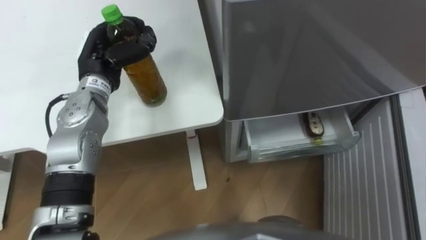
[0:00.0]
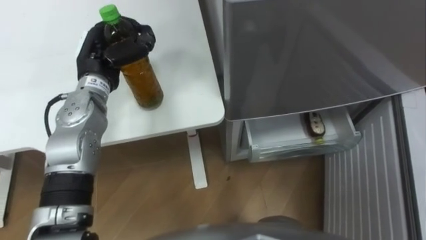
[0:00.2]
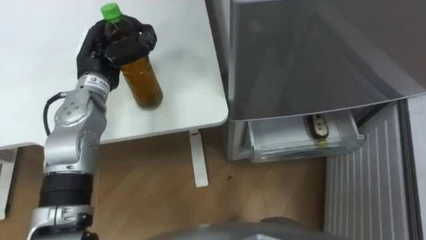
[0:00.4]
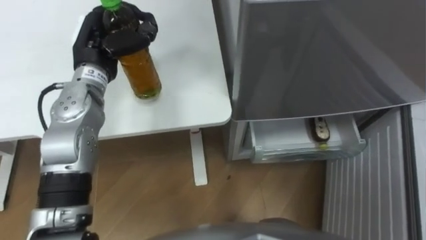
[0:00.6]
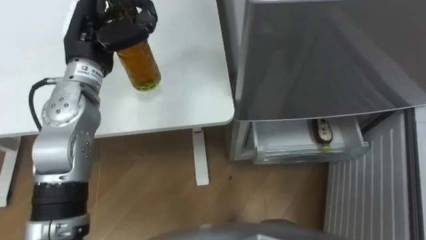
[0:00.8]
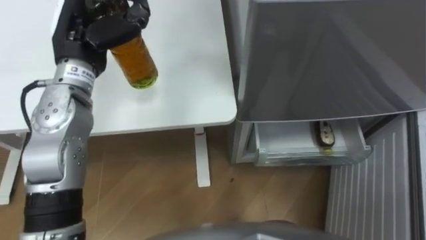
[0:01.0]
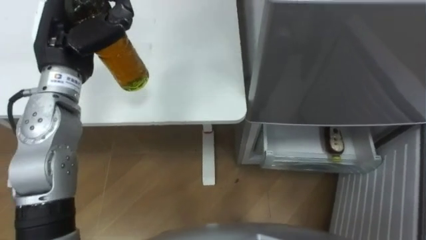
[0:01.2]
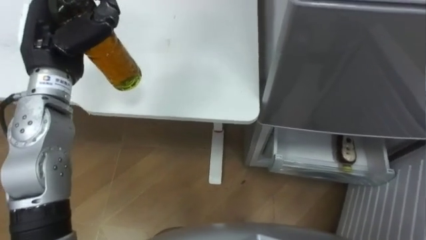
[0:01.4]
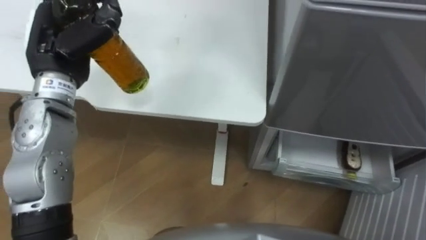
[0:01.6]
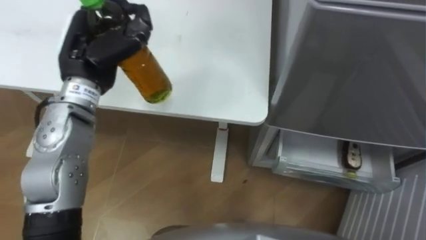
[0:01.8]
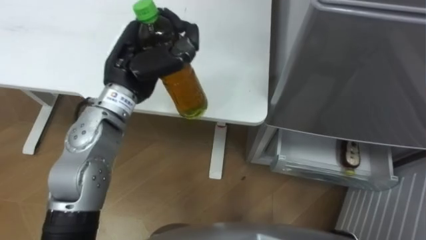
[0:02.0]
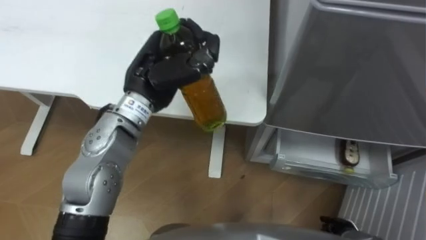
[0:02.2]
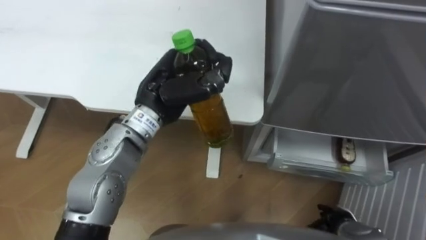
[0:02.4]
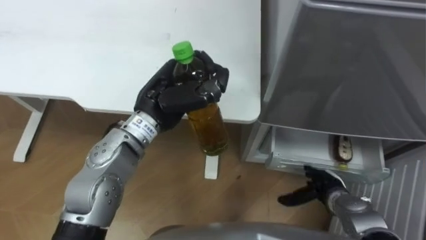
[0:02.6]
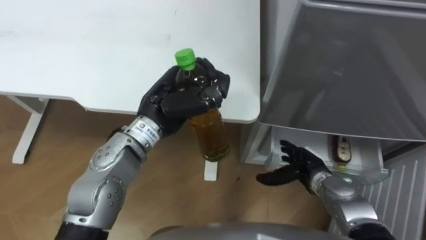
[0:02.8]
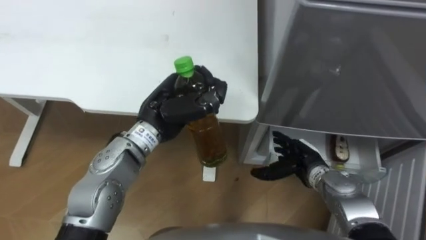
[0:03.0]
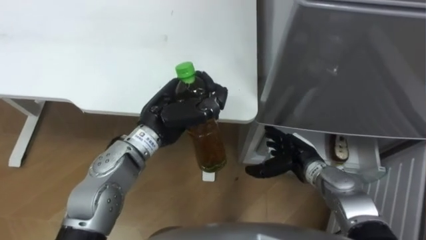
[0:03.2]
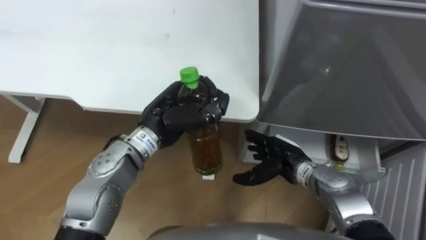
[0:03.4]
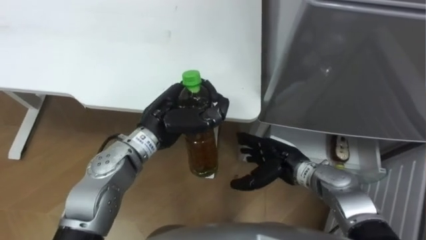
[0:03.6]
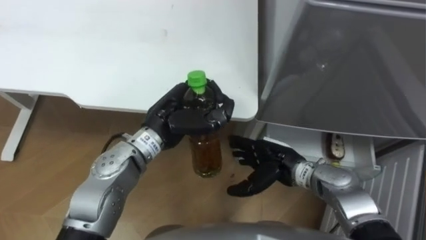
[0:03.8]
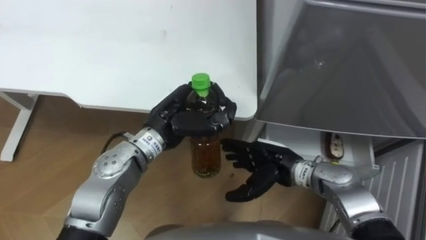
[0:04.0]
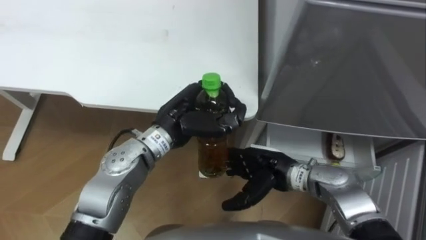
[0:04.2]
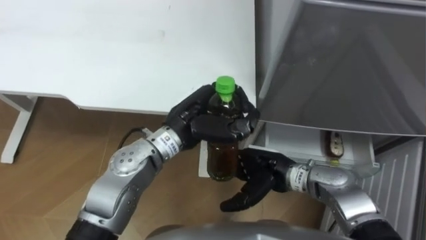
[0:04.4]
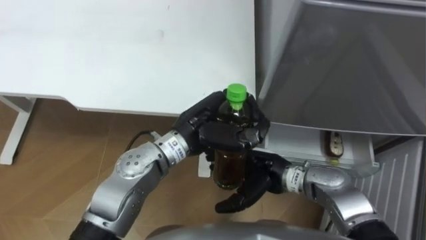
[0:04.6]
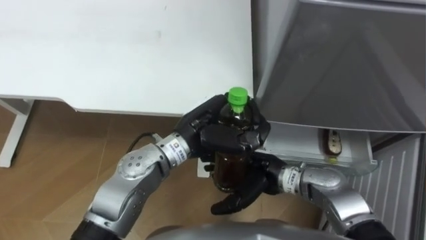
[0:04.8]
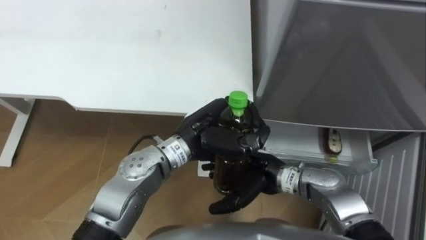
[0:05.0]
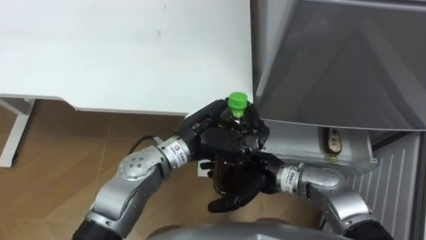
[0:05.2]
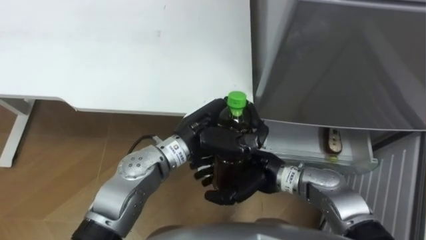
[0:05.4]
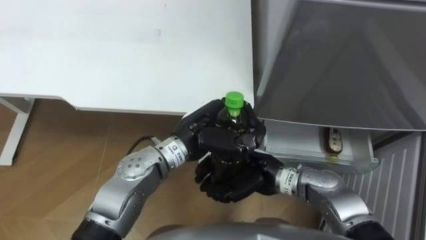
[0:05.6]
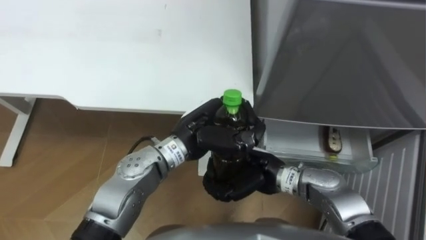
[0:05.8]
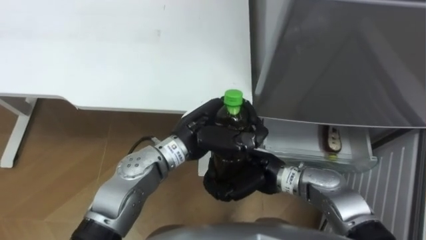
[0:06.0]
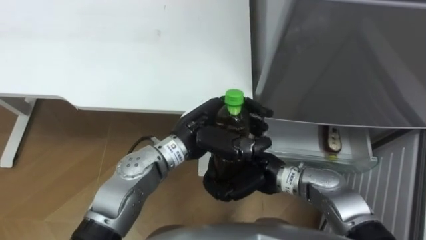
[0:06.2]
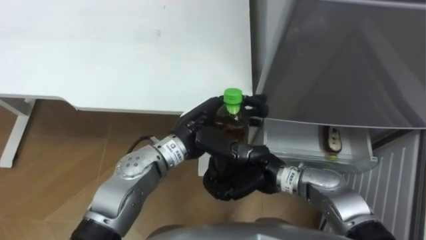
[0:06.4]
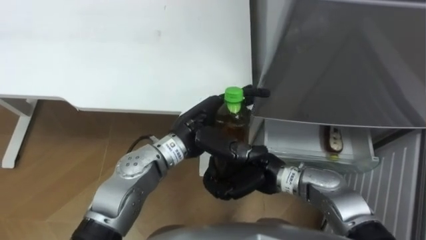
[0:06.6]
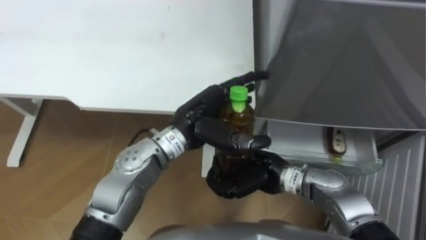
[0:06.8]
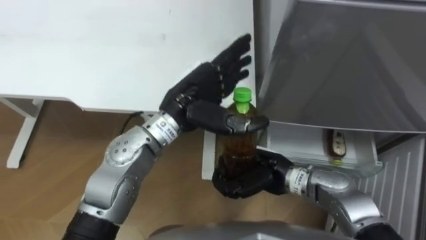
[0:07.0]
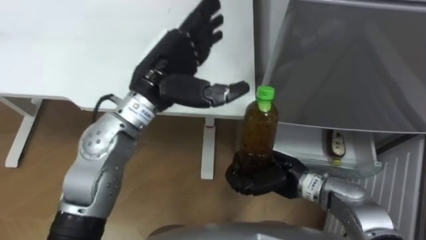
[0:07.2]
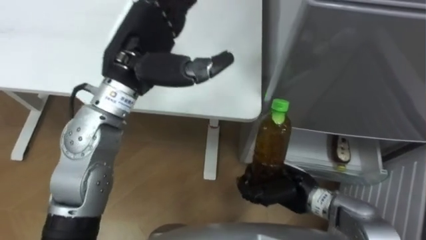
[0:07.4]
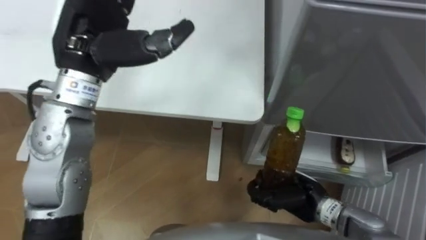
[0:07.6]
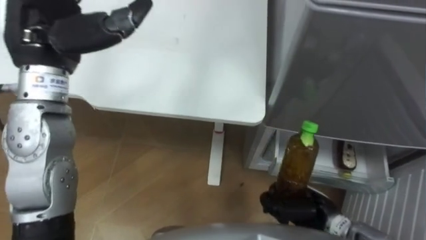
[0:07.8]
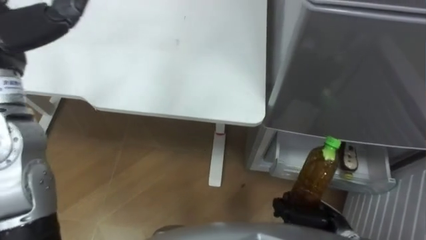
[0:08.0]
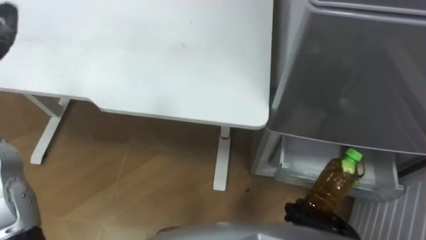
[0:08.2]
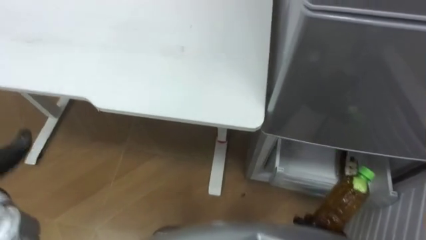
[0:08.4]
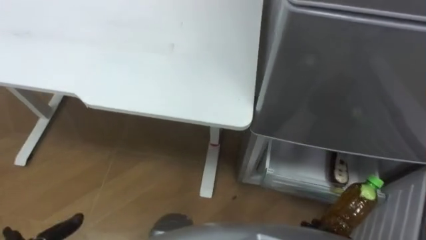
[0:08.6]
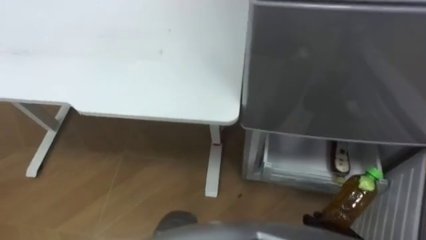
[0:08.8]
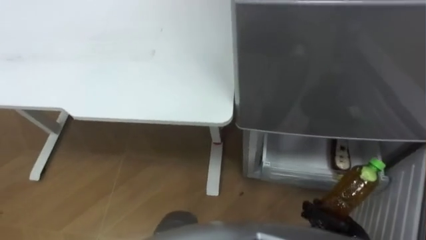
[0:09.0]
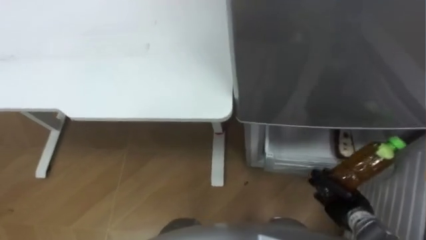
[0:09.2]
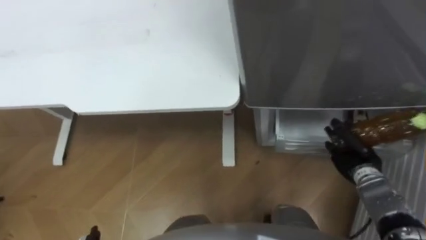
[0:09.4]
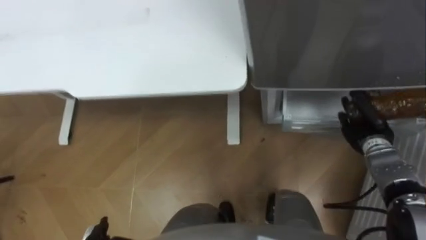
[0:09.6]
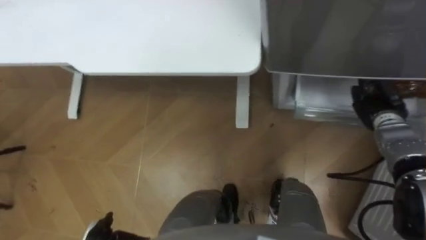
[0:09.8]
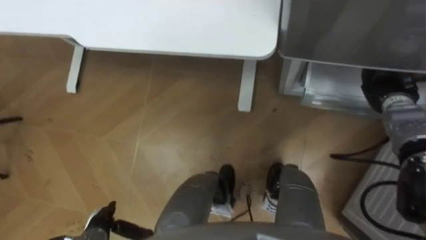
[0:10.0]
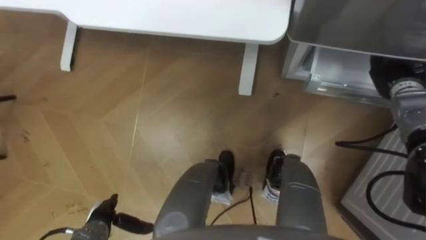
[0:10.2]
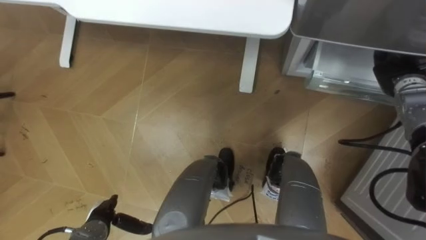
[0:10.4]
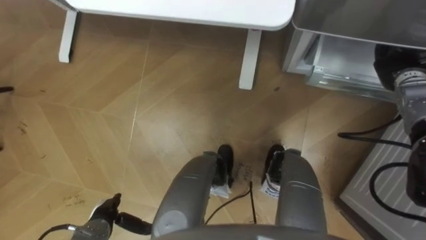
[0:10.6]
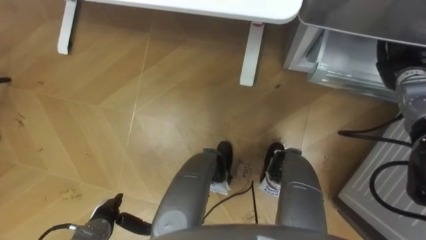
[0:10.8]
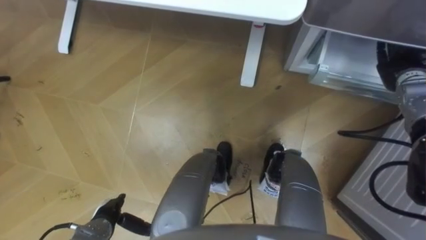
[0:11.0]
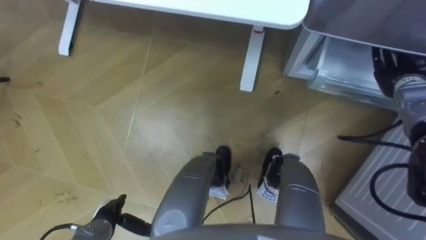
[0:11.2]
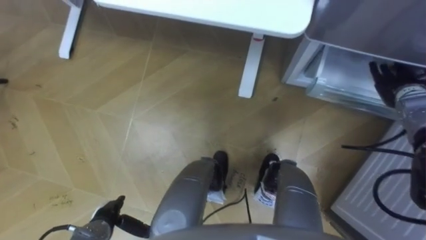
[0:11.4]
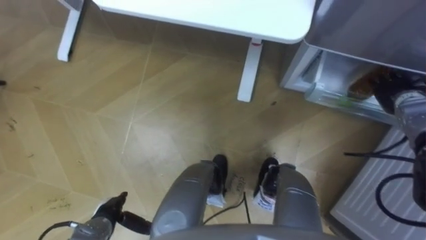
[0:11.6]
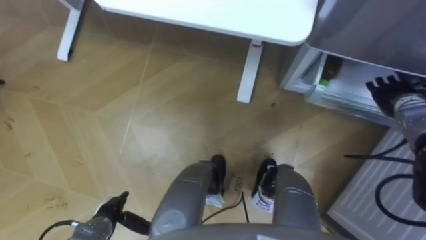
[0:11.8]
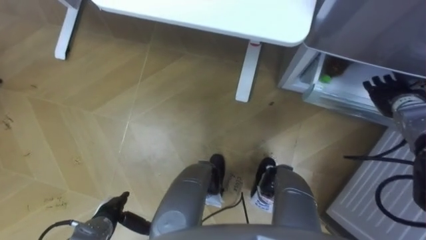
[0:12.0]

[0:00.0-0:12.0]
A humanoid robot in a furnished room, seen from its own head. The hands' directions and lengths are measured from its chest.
Task of the whole recording: Place the drink on the table on the bottom shelf of the refrigerator, then close the drawer and the refrigerator door.
0:00.0 to 0:01.6: The left hand goes about 10 cm upward.
0:01.6 to 0:03.0: The left hand shifts about 20 cm to the right and downward.
0:03.0 to 0:04.4: The right hand goes approximately 10 cm to the left and upward.
0:04.4 to 0:06.0: The right hand closes up.
0:06.0 to 0:07.6: The left hand shifts roughly 20 cm upward and to the left, and opens its fingers, while the right hand shifts about 10 cm to the right.
0:09.0 to 0:10.4: The right hand heads forward and upward, covering some 35 cm.
0:10.4 to 0:12.0: The right hand opens up.

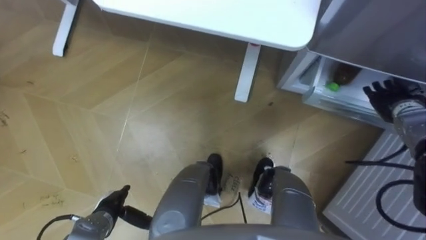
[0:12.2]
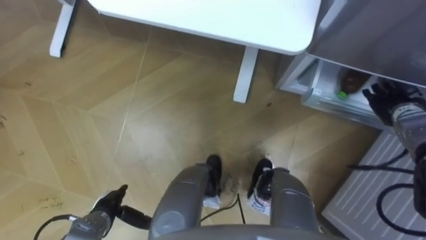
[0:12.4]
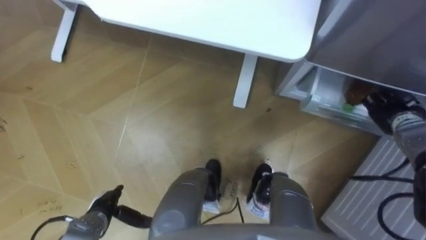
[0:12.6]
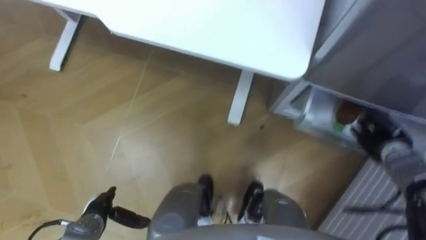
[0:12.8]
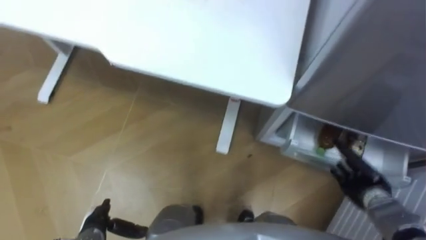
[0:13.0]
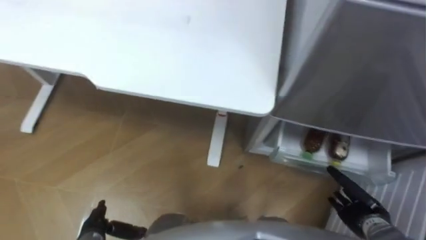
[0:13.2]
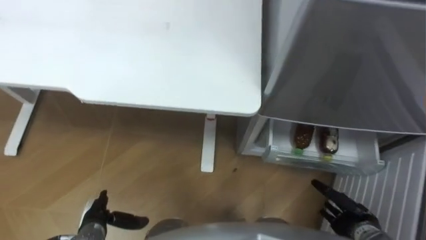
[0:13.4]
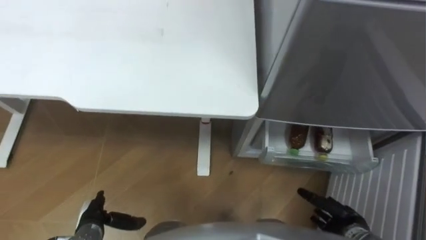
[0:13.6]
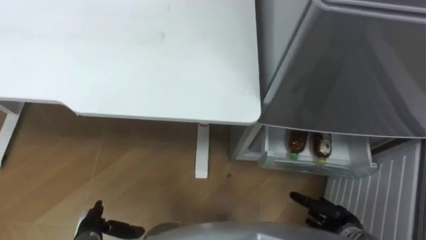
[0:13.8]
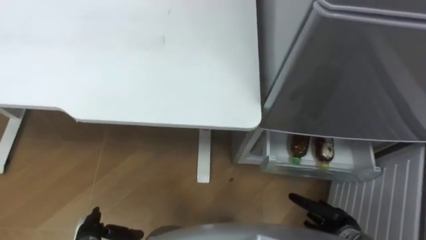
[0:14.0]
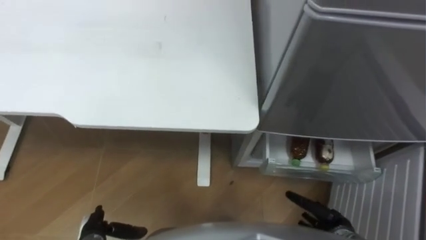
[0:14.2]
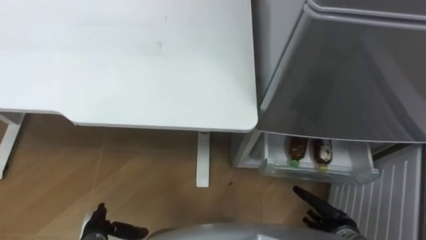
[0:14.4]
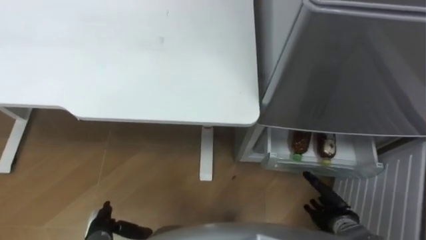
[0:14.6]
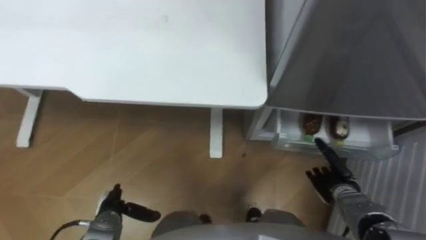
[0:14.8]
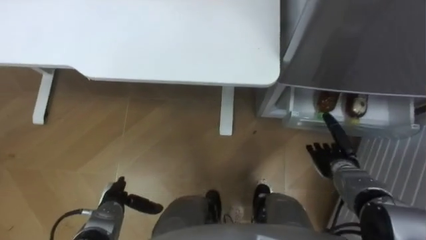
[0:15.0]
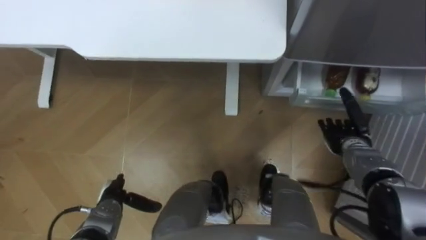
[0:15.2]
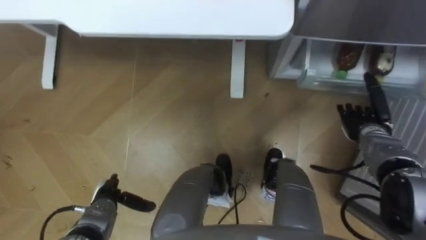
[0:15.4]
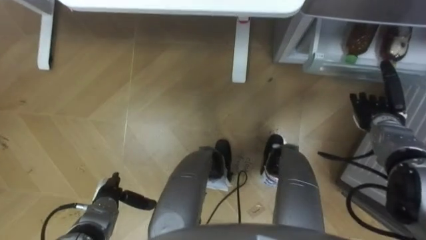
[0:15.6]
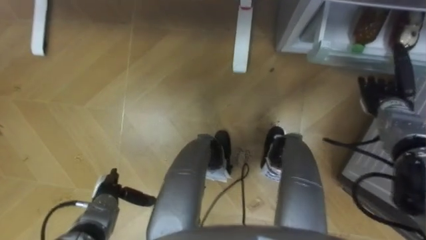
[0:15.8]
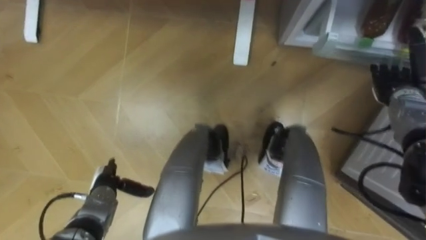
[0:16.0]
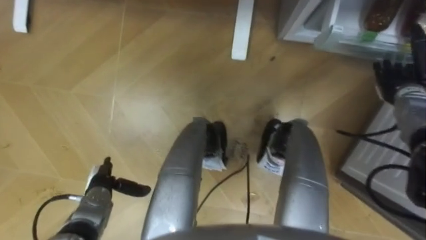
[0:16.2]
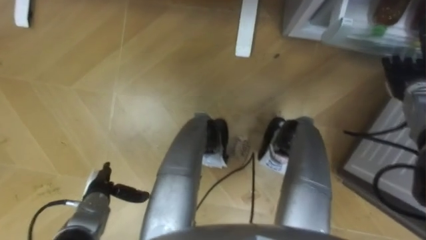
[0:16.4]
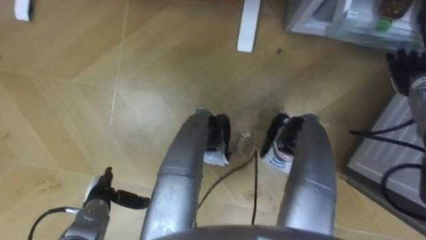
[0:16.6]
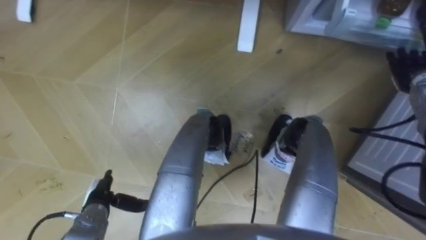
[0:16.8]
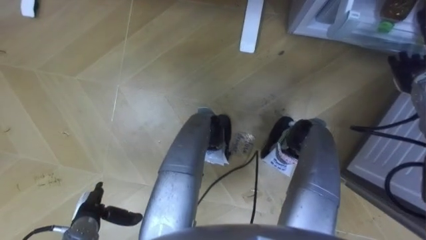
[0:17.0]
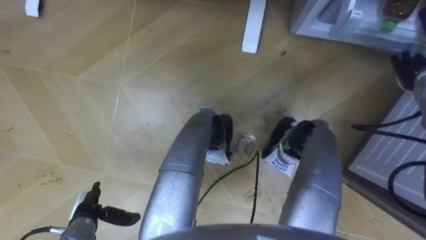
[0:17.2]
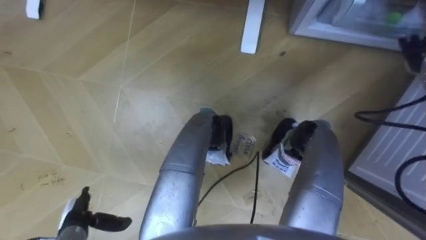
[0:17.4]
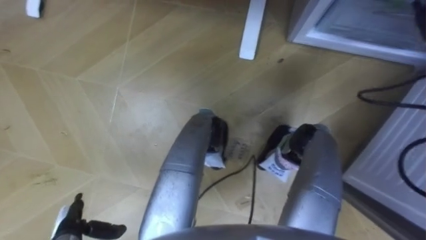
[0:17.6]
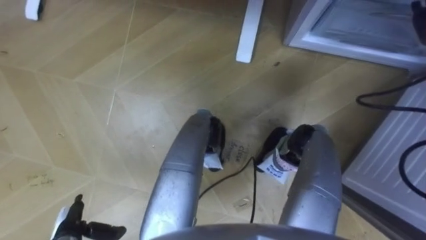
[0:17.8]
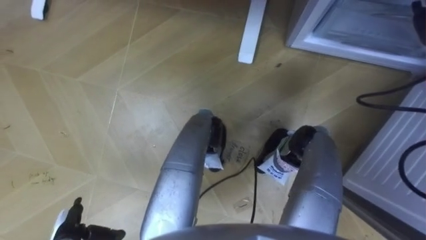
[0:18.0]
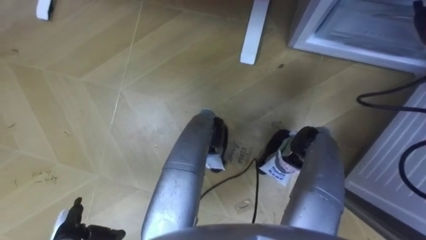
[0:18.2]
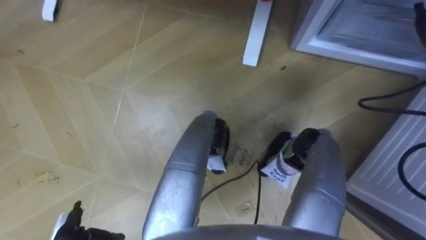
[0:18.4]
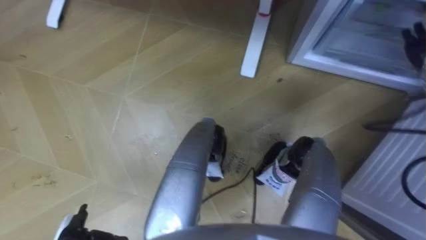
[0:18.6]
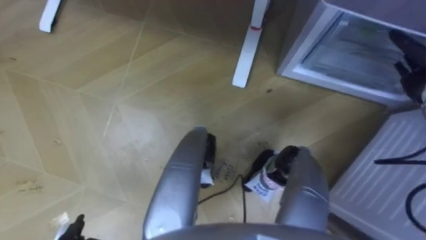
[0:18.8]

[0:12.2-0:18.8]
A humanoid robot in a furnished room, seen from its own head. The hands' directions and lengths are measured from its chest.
Task of the whole recording: Place the drink on the table on the bottom shelf of the refrigerator, then close the drawer and the refrigerator door.
0:12.2 to 0:13.8: The right hand is displaced backward, downward and to the left by roughly 30 cm.
0:13.8 to 0:15.4: The right hand moves forward and upward, roughly 20 cm. Meanwhile the left hand goes about 5 cm forward.
0:15.4 to 0:17.2: The right hand is displaced upward, to the right and forward by about 15 cm; the left hand shifts by some 5 cm.
